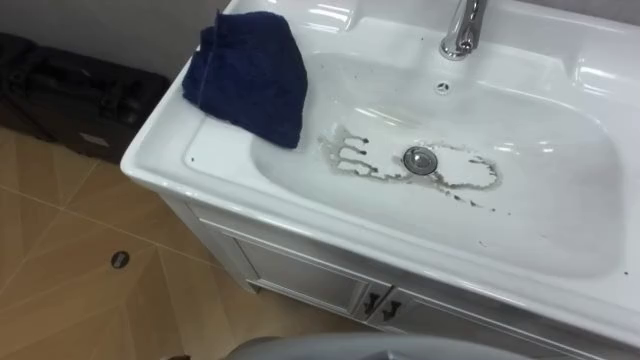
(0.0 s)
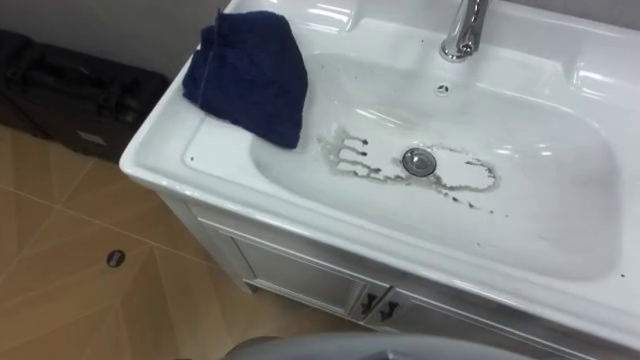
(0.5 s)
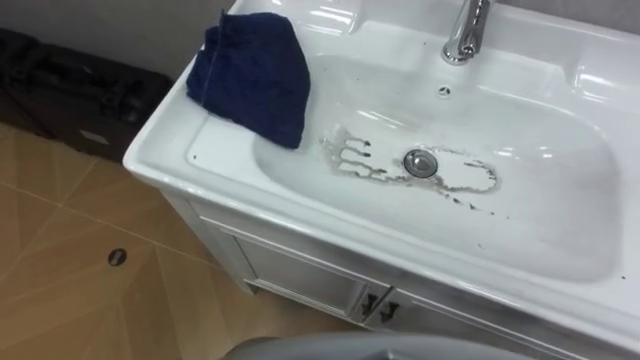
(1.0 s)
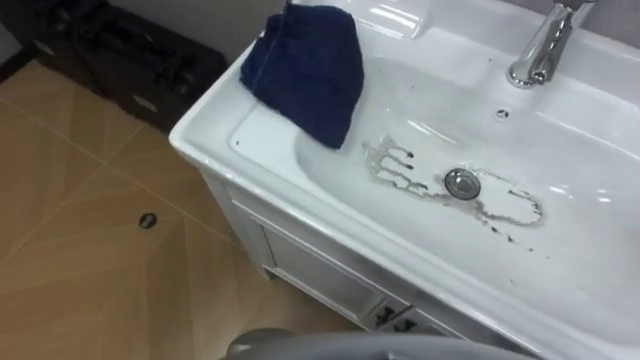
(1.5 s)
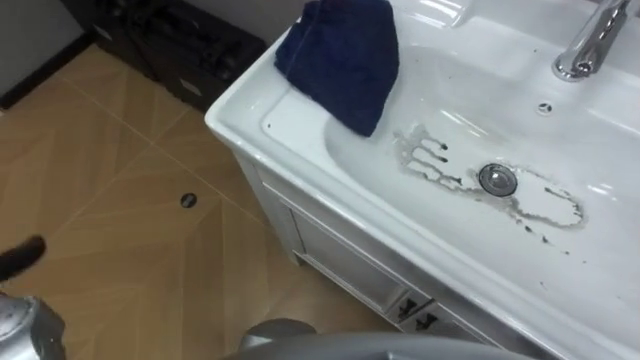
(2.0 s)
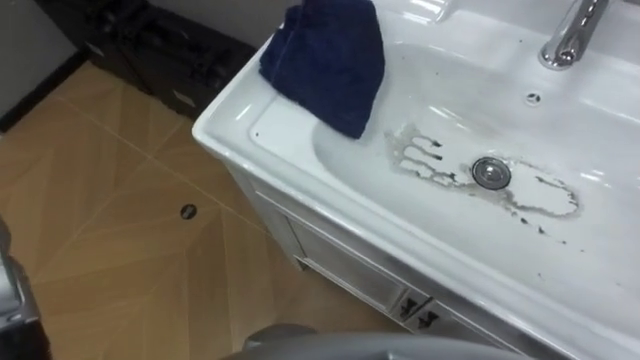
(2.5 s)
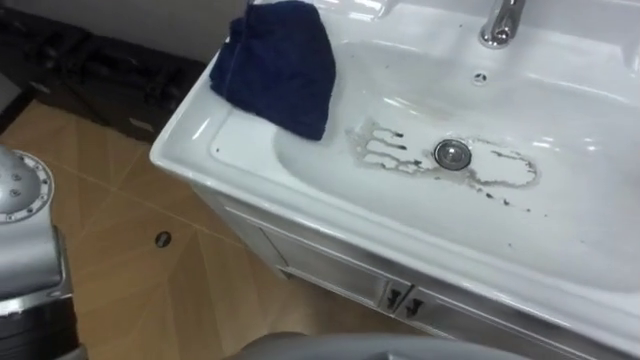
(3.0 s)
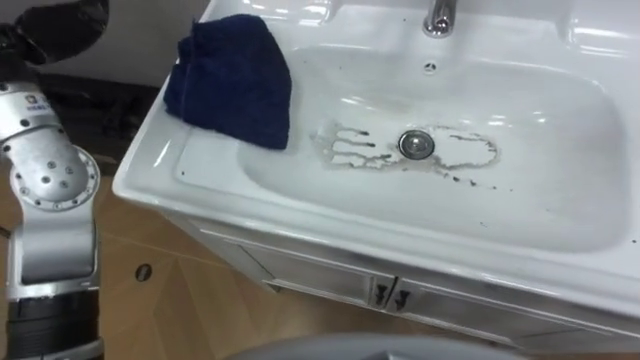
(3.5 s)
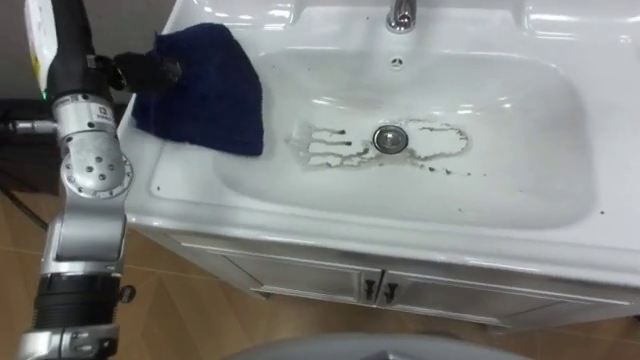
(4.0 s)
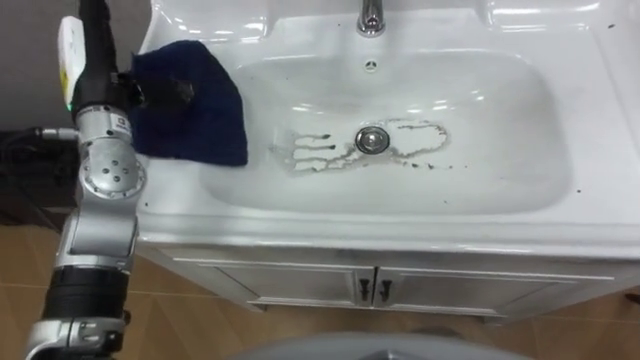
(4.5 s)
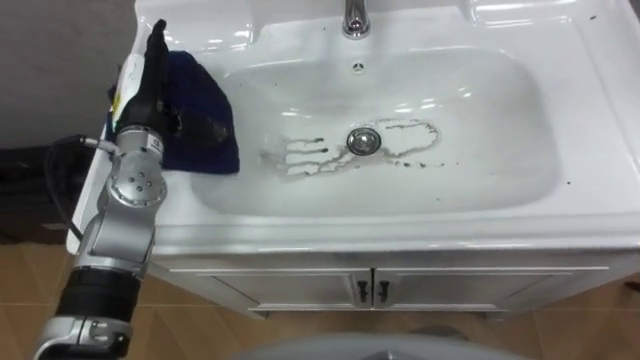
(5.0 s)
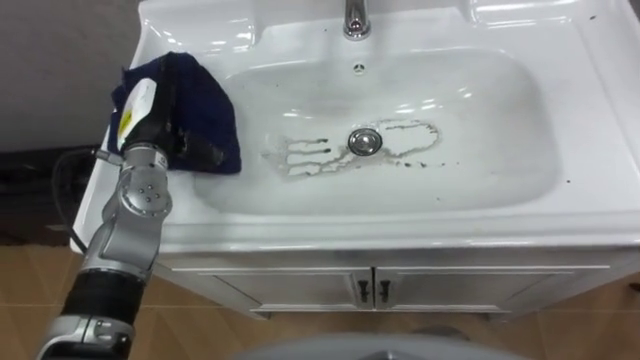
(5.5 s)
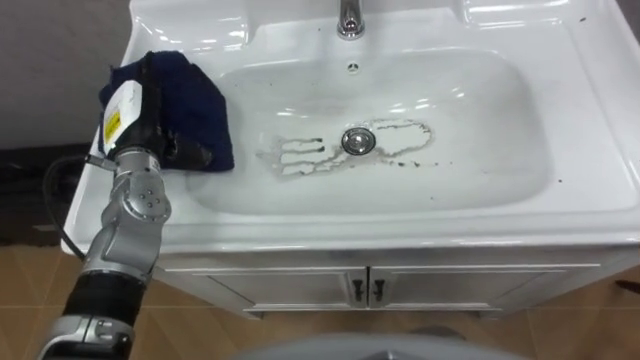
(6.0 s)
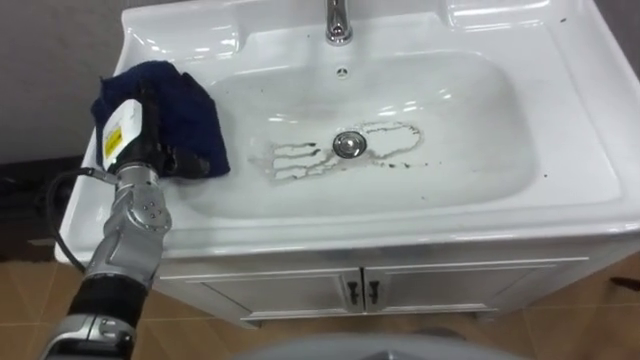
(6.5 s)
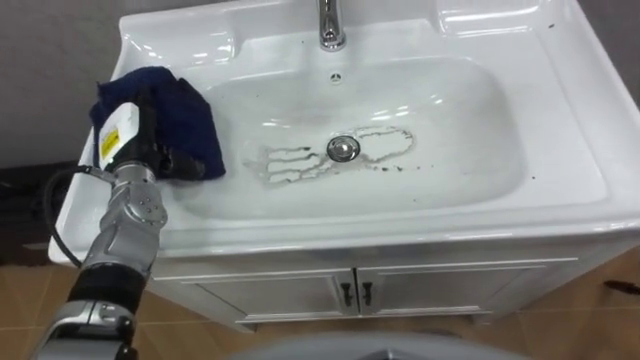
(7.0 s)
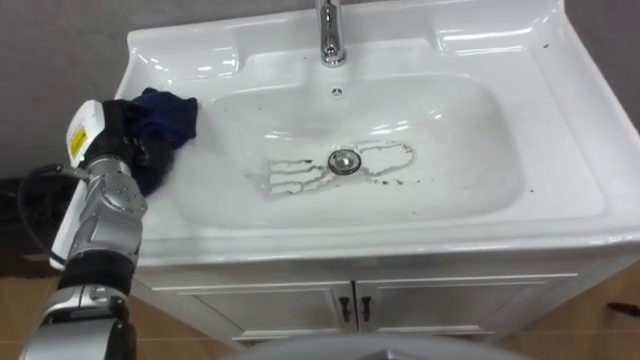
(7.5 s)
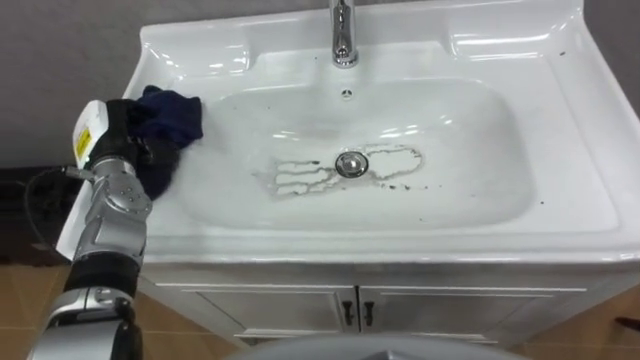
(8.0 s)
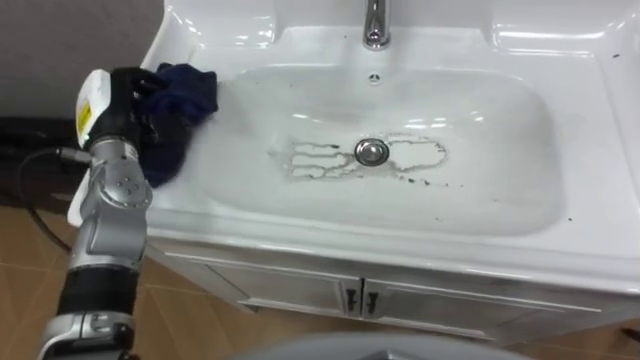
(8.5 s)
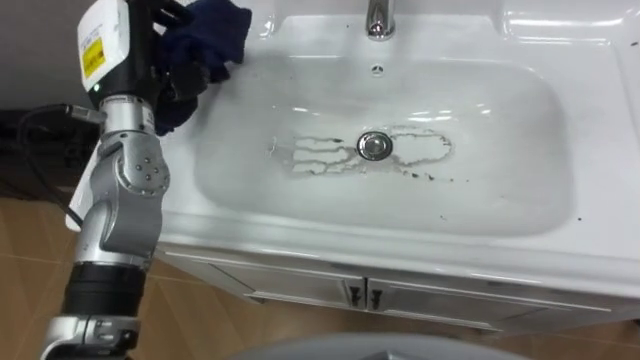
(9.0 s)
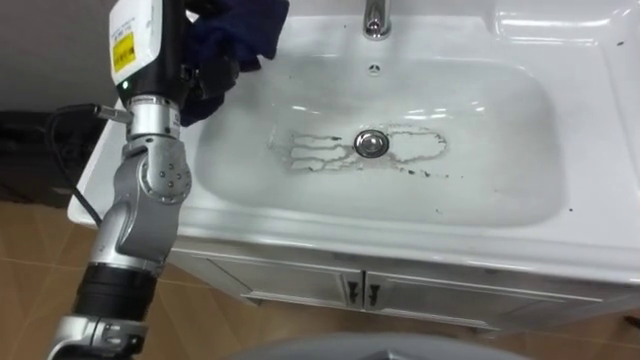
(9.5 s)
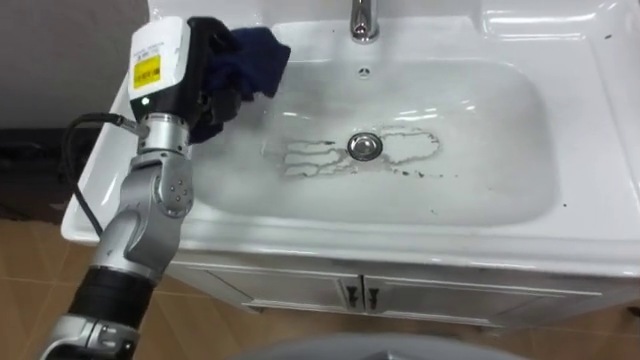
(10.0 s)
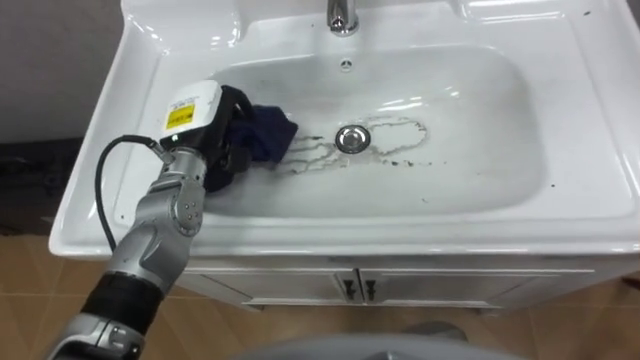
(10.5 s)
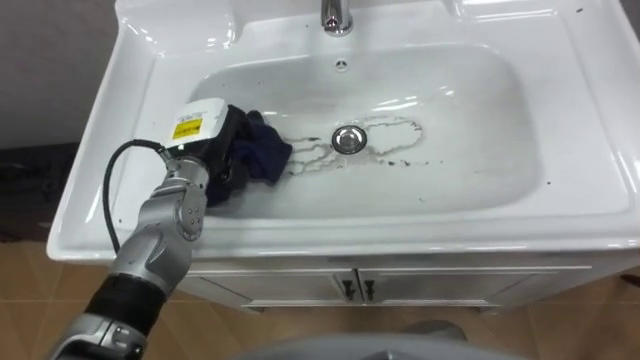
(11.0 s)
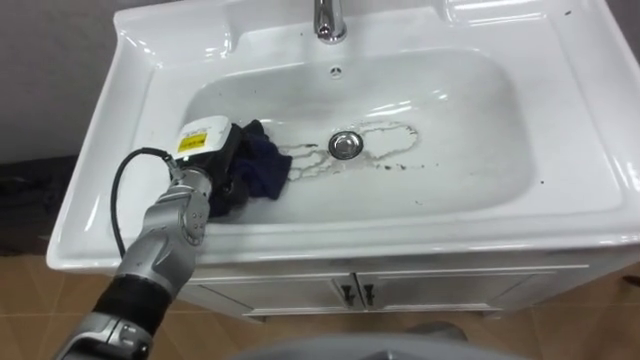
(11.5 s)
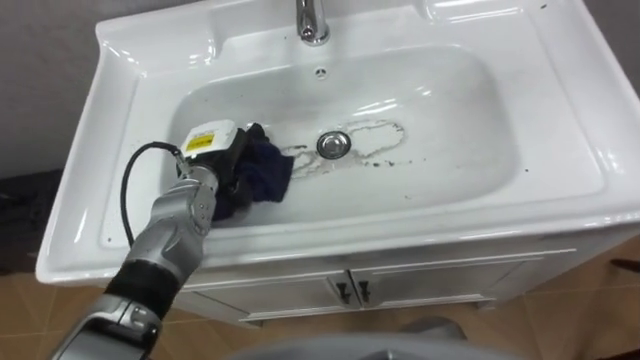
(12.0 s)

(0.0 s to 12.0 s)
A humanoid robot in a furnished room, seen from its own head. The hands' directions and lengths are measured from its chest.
Task of the whole recording: Use the cloth on the right to wipe away the black stain in the sink.
4.0 s - 6.0 s: The left hand goes roughly 10 cm downward.
6.0 s - 8.0 s: The left hand shifts roughly 5 cm to the left, and closes up.
8.0 s - 10.0 s: The left hand goes roughly 15 cm upward and to the right.
10.0 s - 12.0 s: The left hand heads downward, covering some 15 cm.

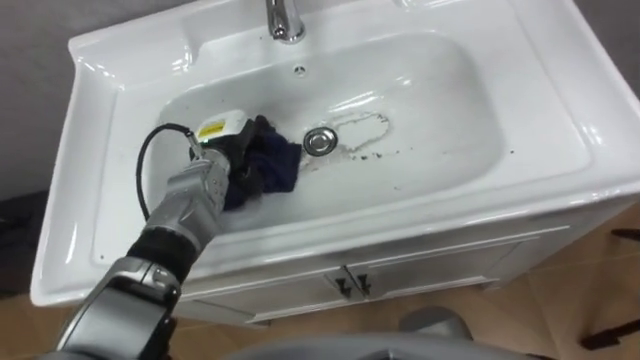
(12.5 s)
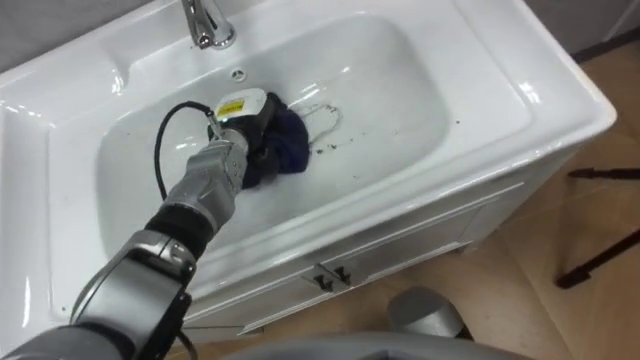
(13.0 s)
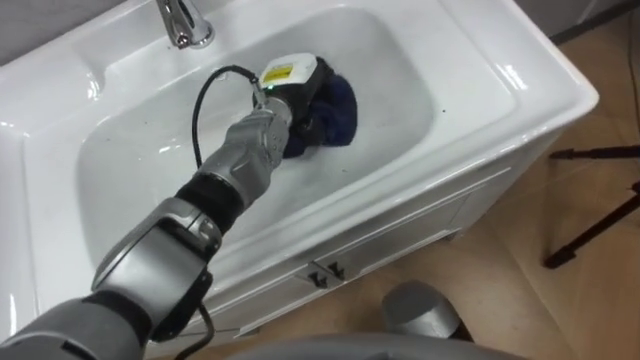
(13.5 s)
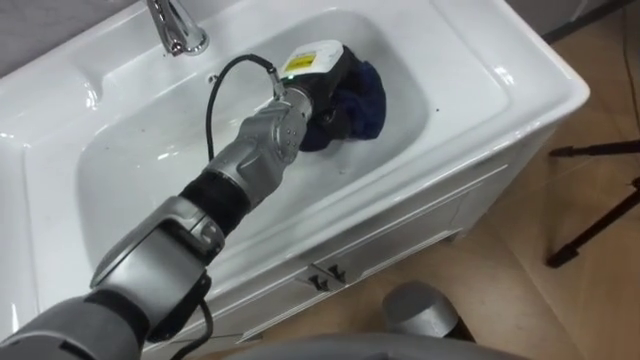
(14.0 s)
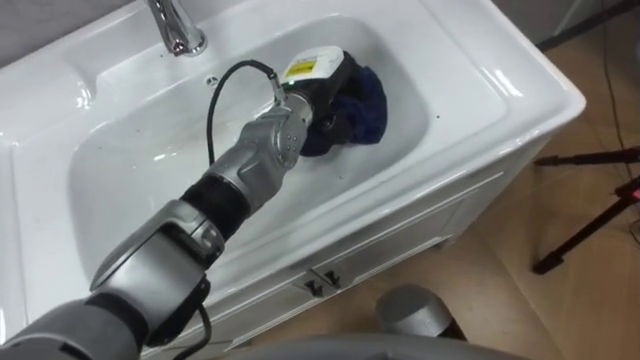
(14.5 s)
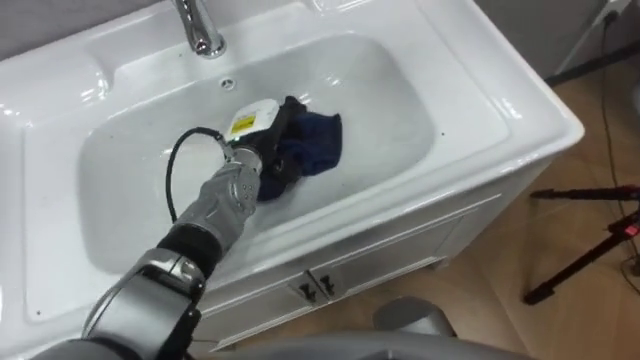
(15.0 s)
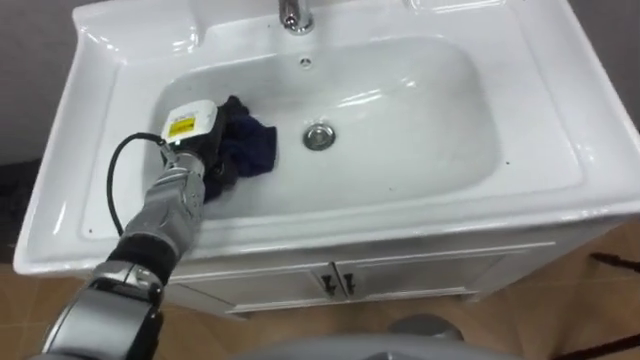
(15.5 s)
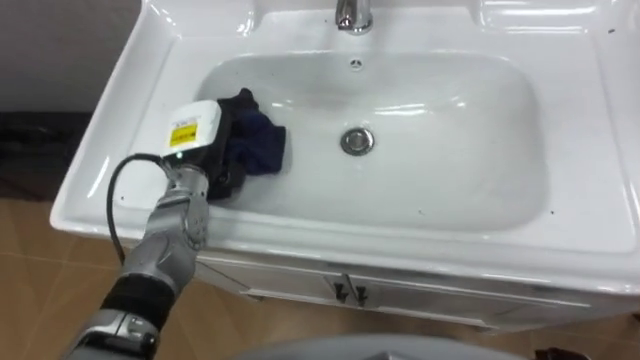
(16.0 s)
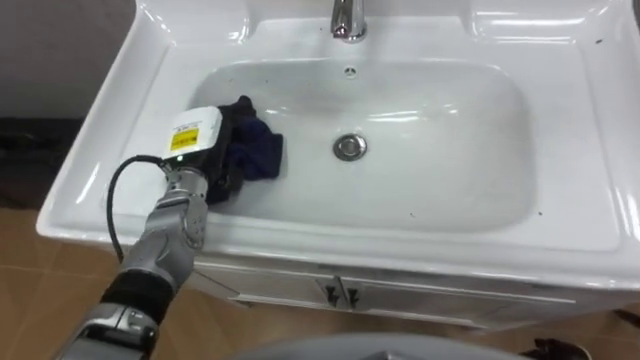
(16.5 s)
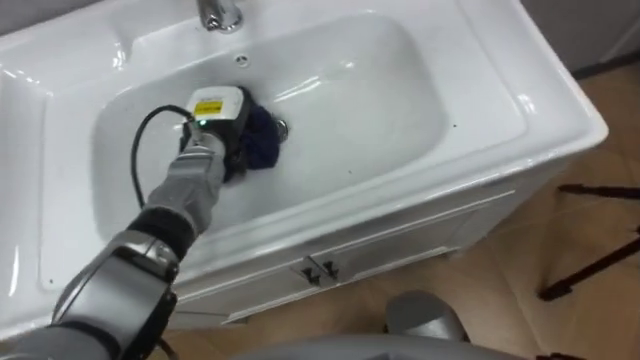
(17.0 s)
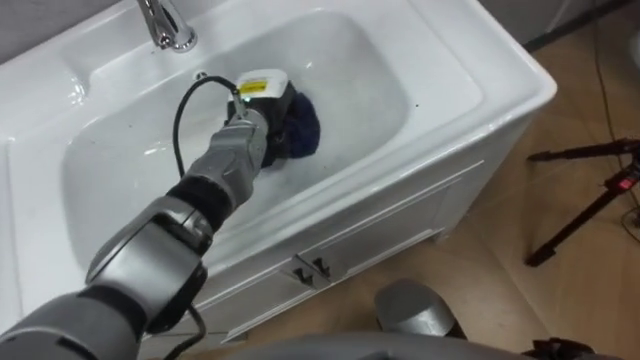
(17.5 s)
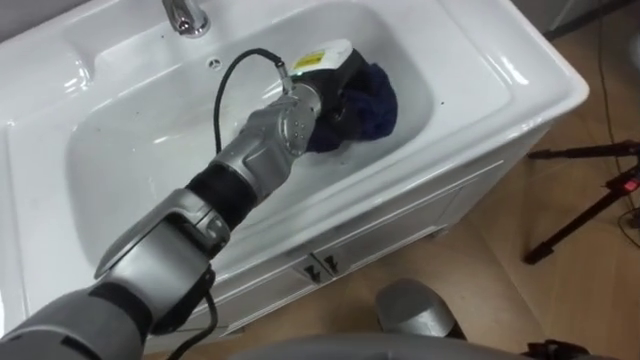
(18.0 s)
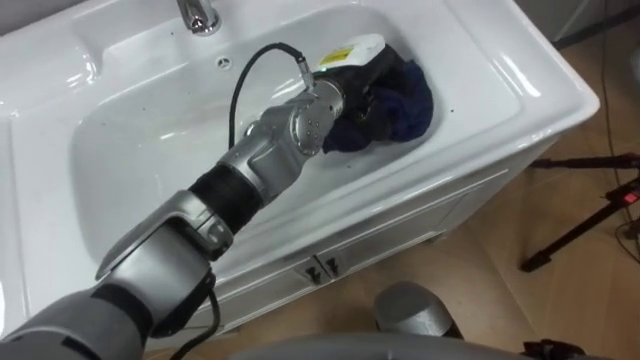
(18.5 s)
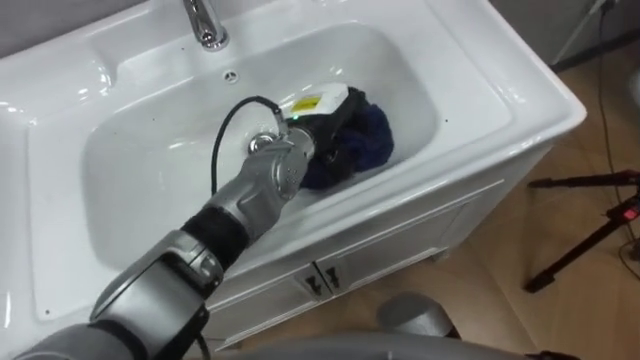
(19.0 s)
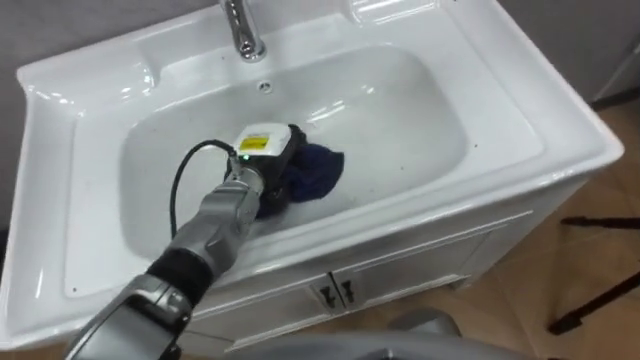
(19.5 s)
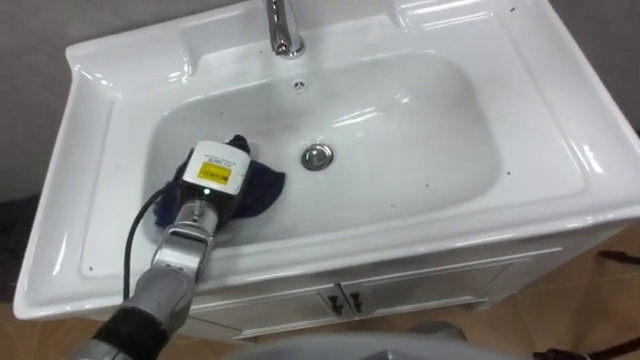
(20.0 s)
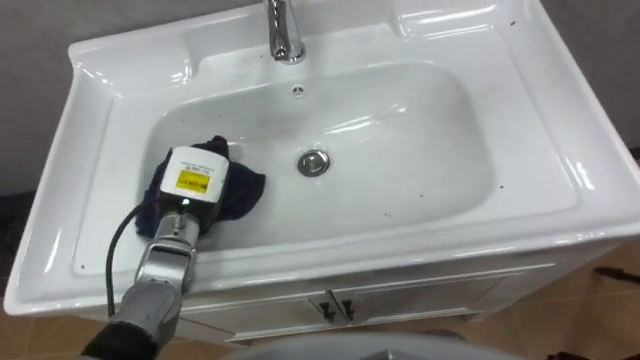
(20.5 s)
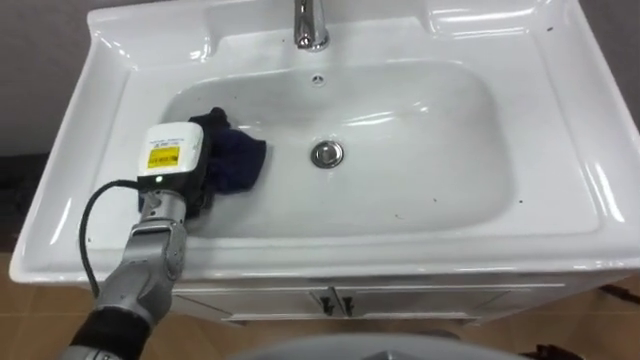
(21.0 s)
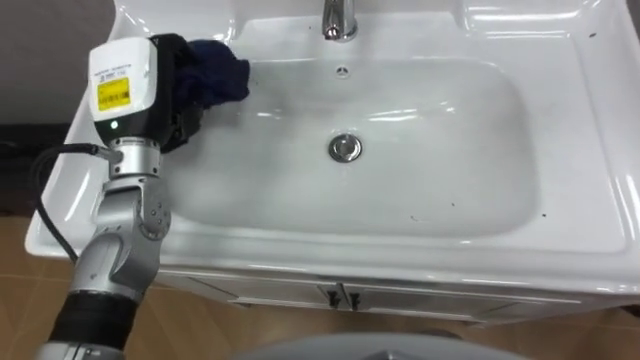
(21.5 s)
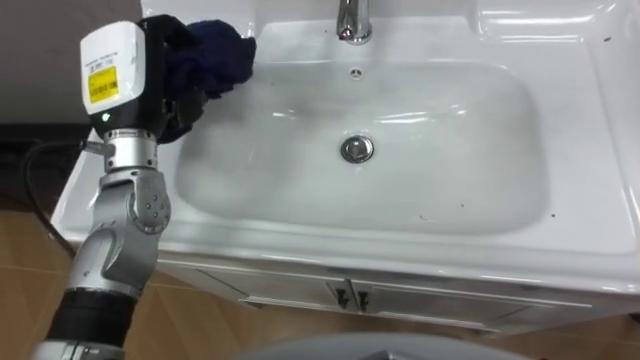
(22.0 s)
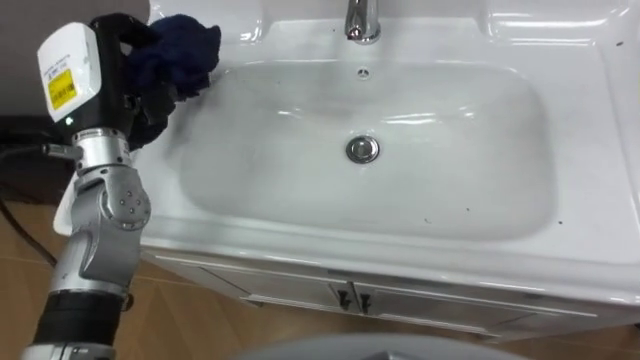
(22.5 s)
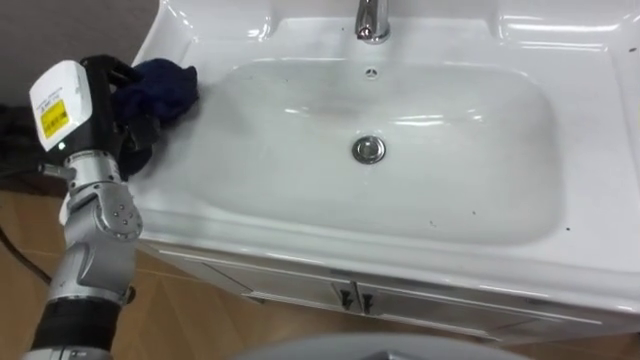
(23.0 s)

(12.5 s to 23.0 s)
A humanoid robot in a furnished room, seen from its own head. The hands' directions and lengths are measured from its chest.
Task of the whole recording: Use the cloth on the right to wipe away the black stain in the sink.
12.5 s - 14.5 s: The left hand moves to the right and upward, some 15 cm.
14.5 s - 16.5 s: The left hand travels to the left by about 15 cm.
16.5 s - 19.0 s: The left hand moves to the right, some 20 cm.
19.0 s - 21.0 s: The left hand shifts approximately 20 cm to the left.
21.0 s - 23.0 s: The left hand heads upward and to the left, covering about 10 cm.
